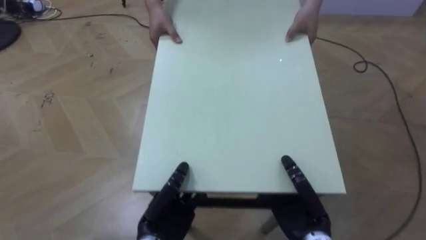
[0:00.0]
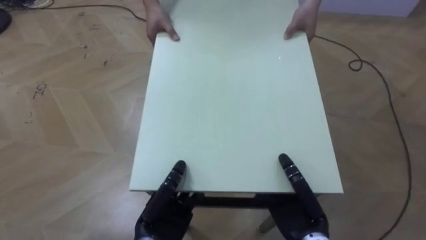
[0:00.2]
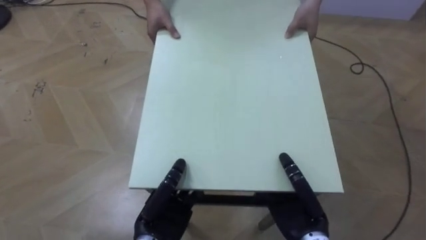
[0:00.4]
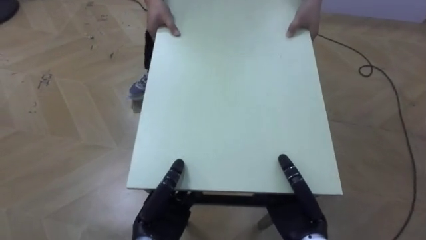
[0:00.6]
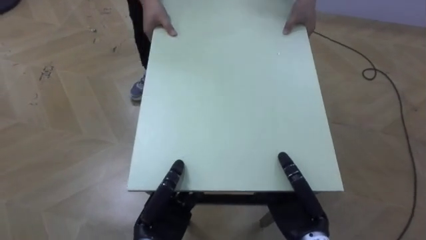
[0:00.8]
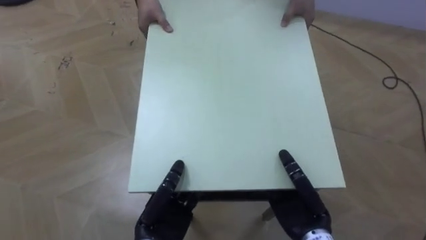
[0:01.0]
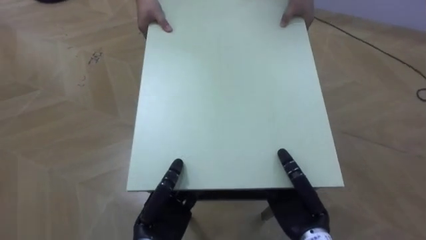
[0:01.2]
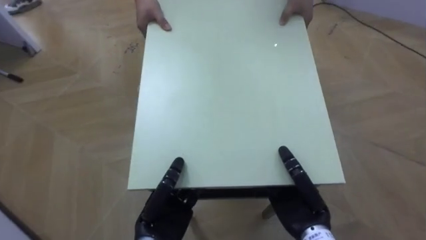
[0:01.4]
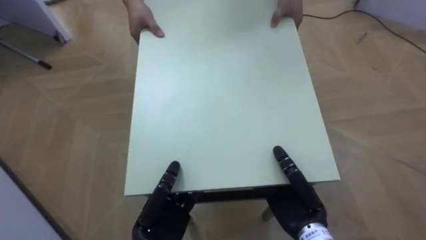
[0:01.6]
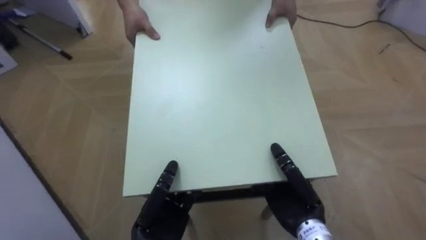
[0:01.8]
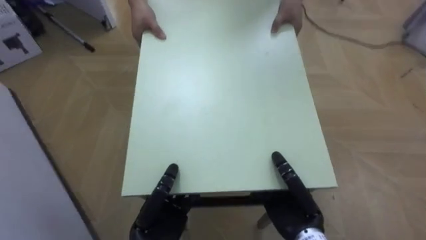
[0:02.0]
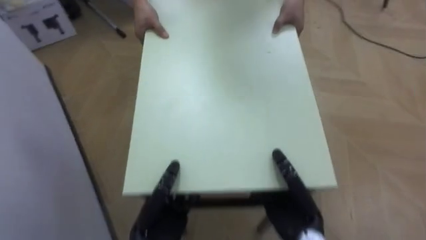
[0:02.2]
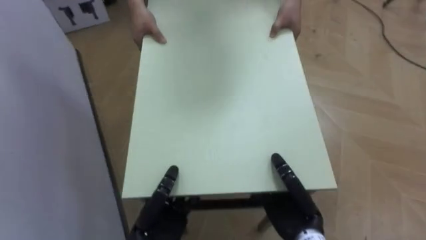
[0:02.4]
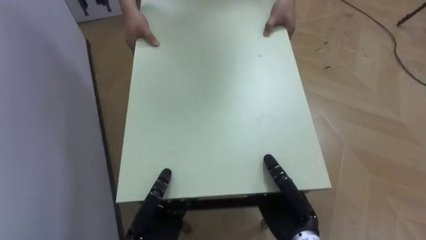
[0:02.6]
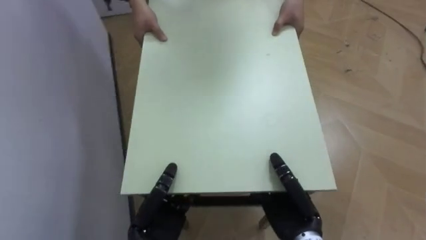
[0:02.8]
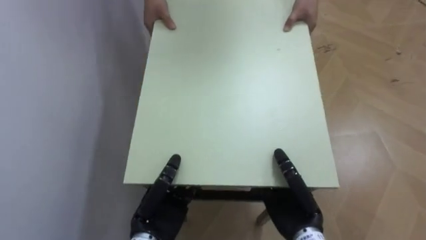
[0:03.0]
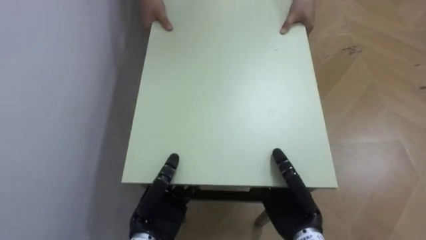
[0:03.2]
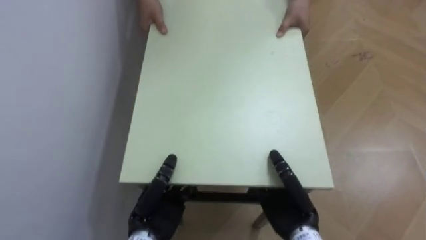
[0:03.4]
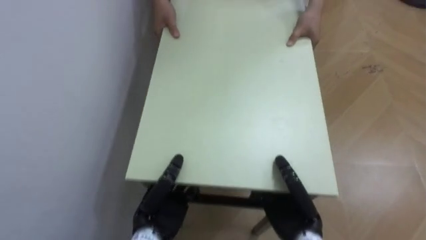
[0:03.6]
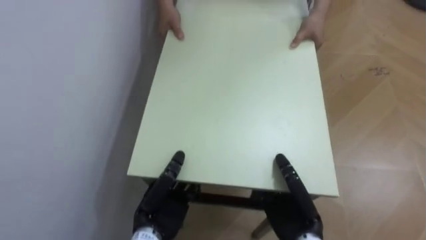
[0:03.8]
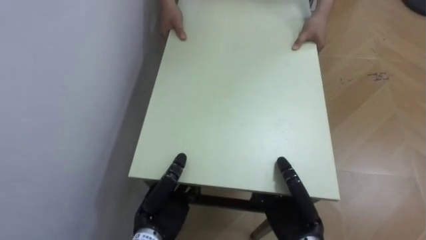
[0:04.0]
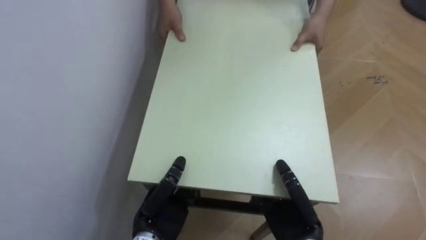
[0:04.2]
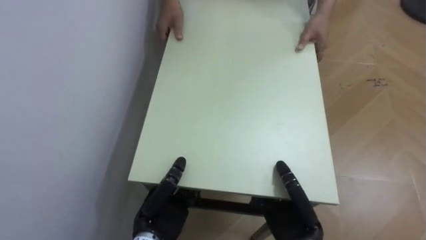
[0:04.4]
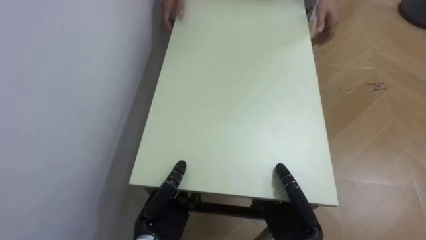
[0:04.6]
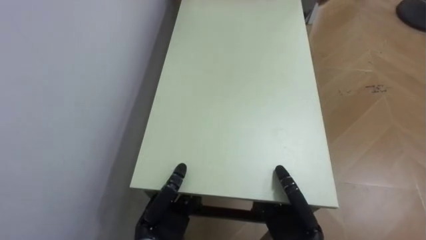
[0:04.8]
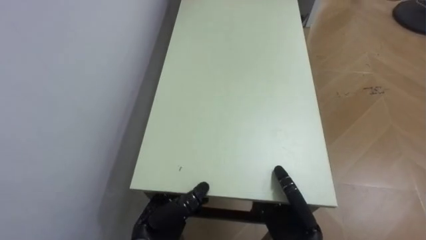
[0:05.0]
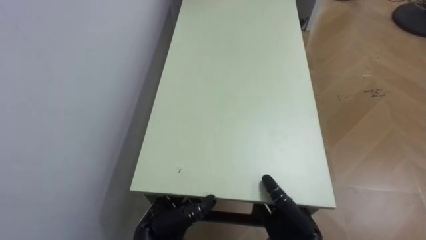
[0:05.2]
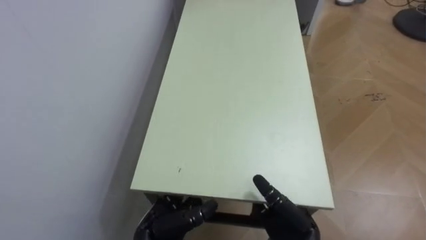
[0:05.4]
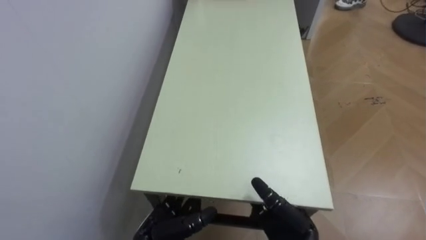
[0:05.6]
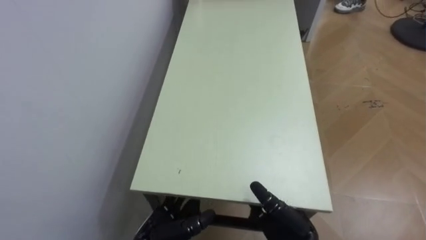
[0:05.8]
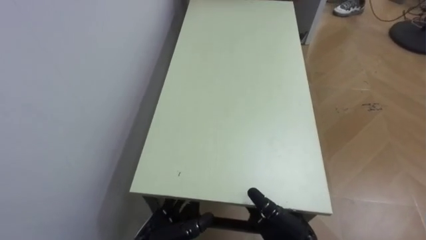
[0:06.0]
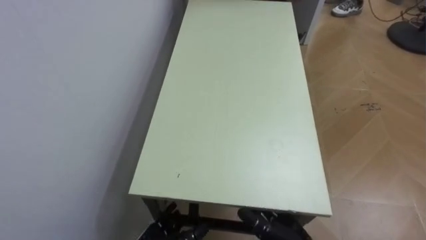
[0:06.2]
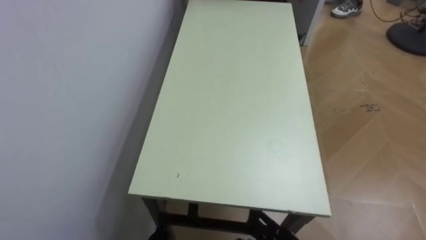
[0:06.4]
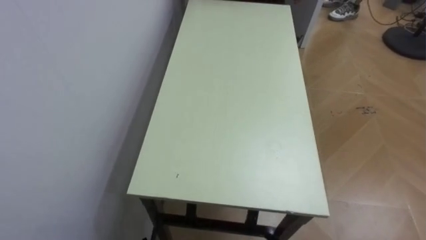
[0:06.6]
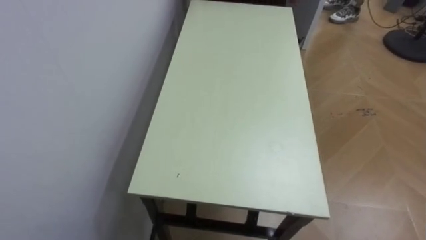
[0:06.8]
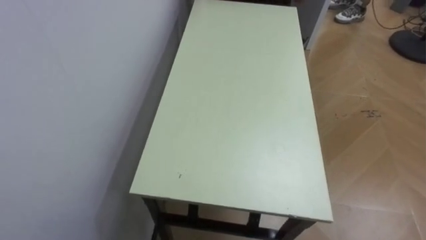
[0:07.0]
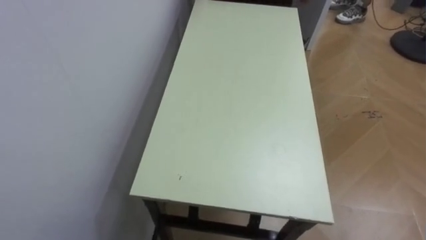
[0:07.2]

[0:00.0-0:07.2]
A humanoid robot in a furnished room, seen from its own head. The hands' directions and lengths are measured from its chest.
Task of the whole recording: Move the table to the back left with someone.
0:00.0 to 0:01.4: The robot's body swings roughly 25 degrees to its left.
0:01.4 to 0:02.8: The robot turns to its left by approximately 40 degrees.
0:02.8 to 0:04.4: The robot rotates roughly 30 degrees to its left.
0:04.4 to 0:05.8: The left hand opens its fingers, while the right hand opens.

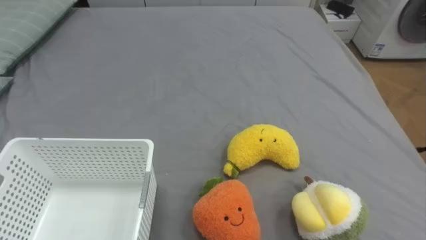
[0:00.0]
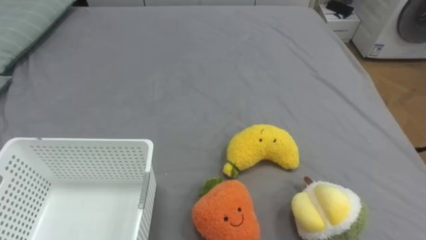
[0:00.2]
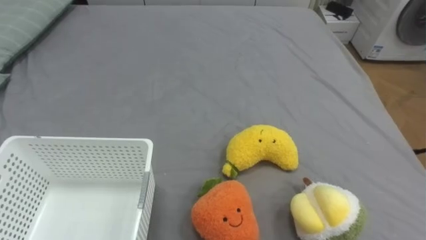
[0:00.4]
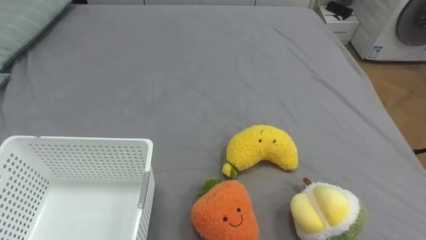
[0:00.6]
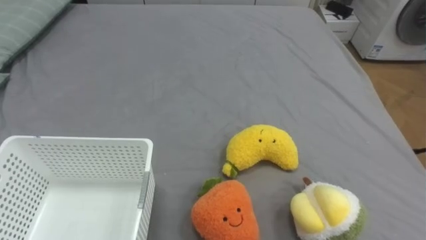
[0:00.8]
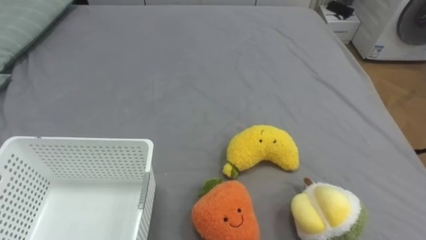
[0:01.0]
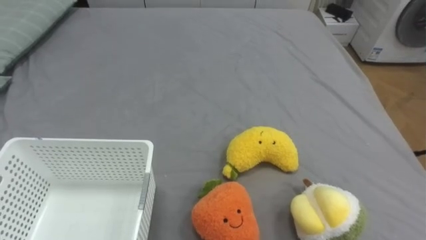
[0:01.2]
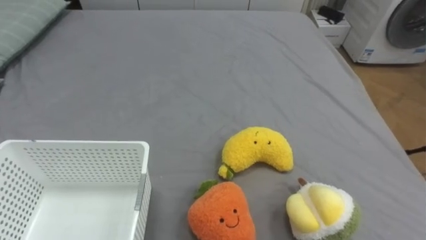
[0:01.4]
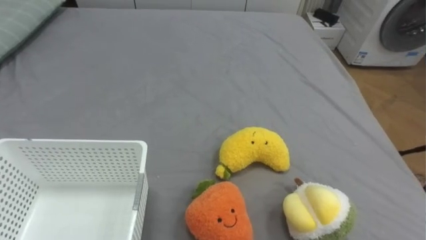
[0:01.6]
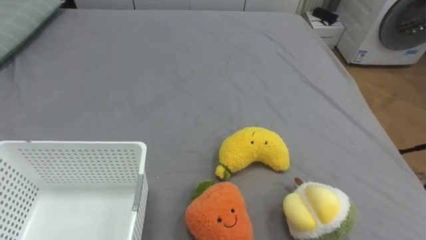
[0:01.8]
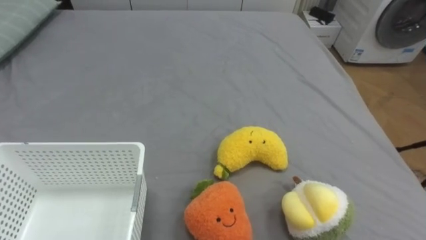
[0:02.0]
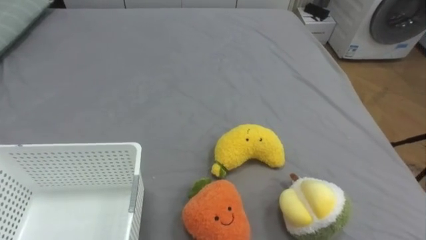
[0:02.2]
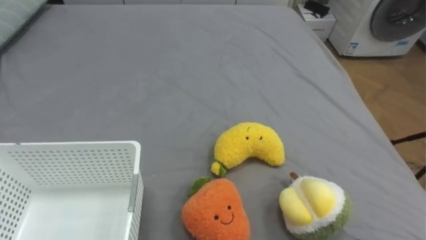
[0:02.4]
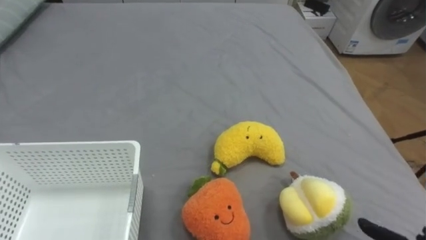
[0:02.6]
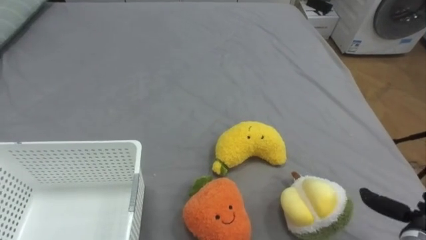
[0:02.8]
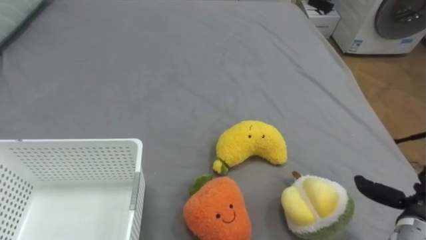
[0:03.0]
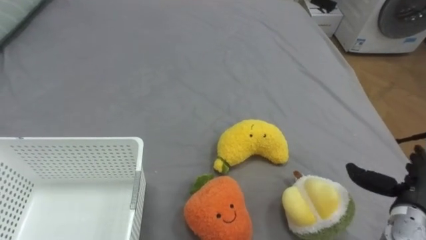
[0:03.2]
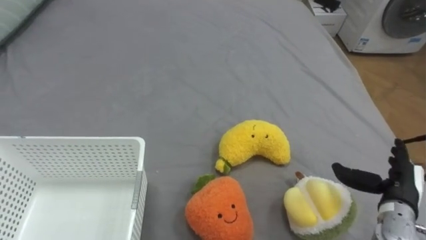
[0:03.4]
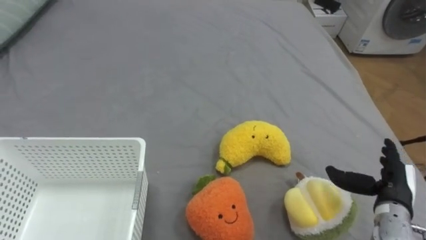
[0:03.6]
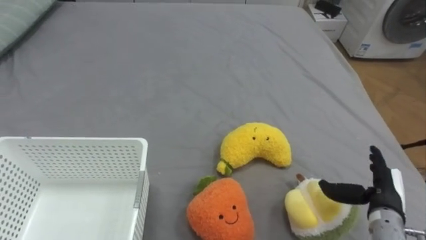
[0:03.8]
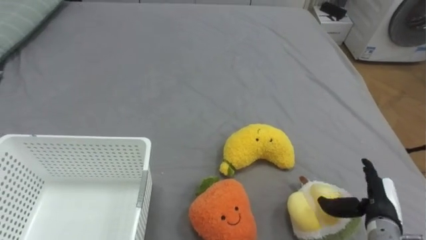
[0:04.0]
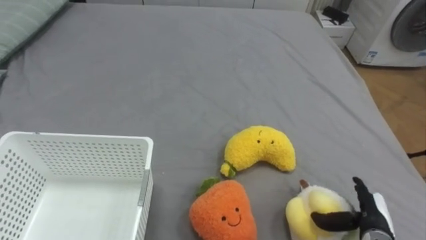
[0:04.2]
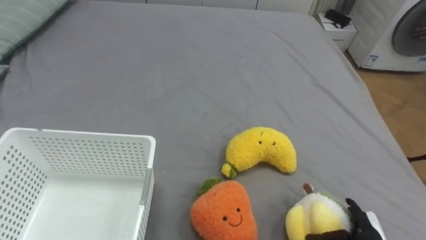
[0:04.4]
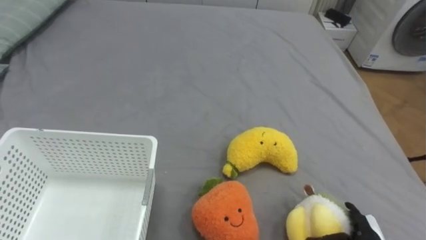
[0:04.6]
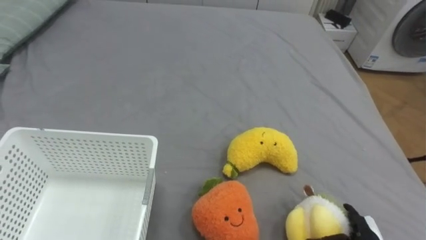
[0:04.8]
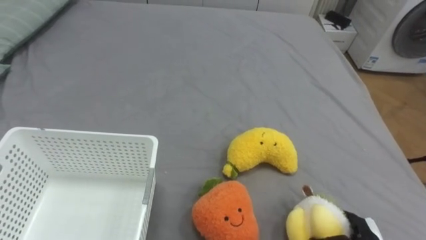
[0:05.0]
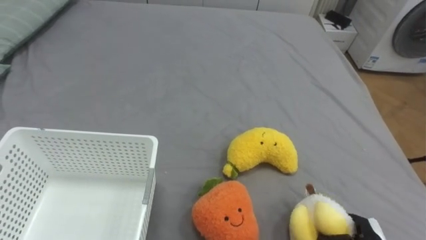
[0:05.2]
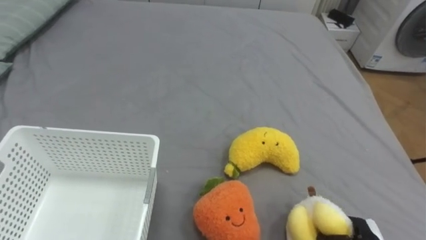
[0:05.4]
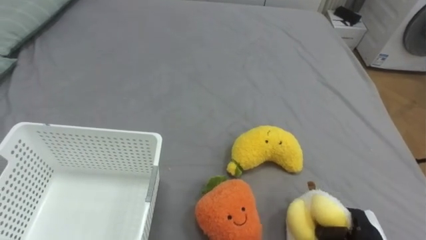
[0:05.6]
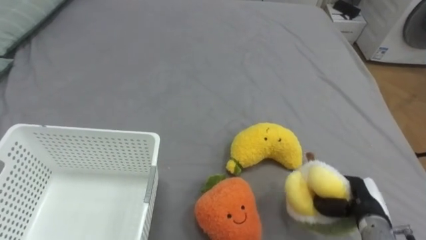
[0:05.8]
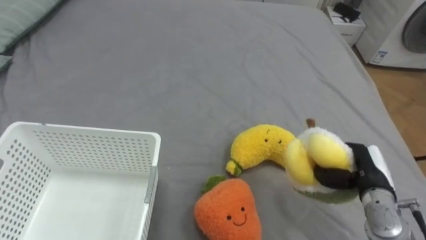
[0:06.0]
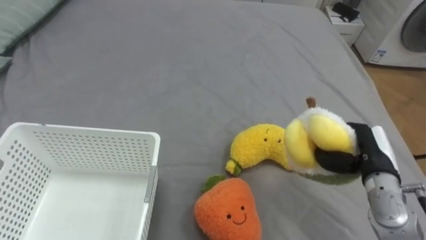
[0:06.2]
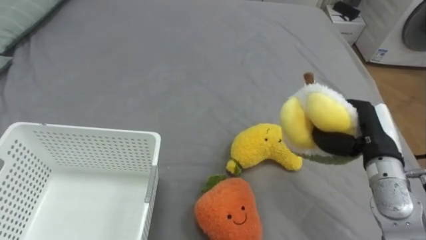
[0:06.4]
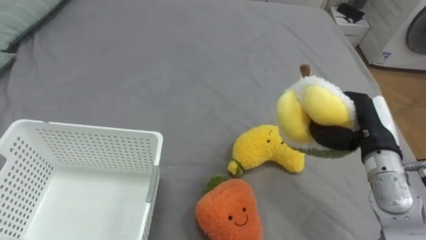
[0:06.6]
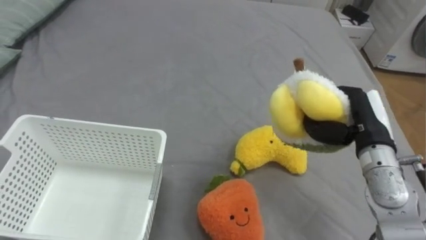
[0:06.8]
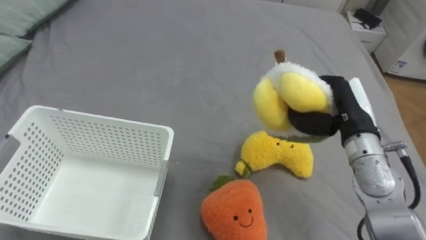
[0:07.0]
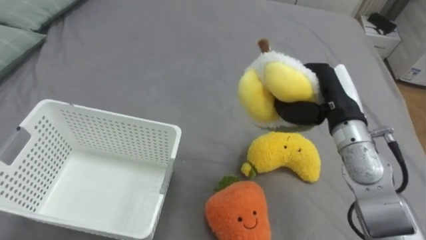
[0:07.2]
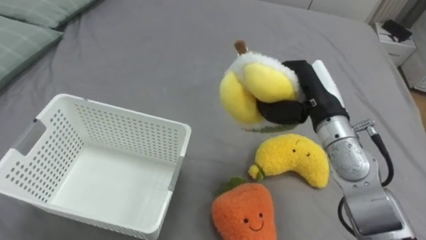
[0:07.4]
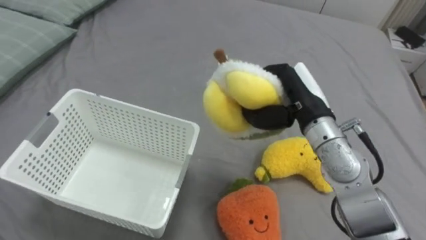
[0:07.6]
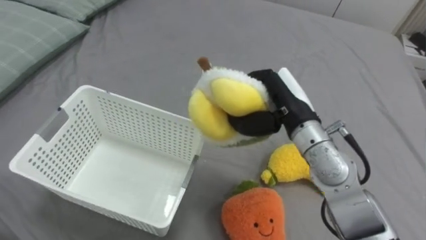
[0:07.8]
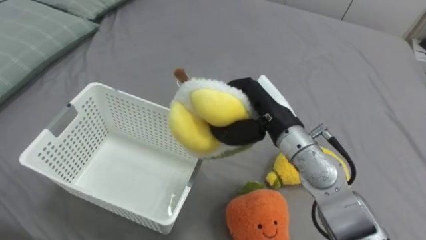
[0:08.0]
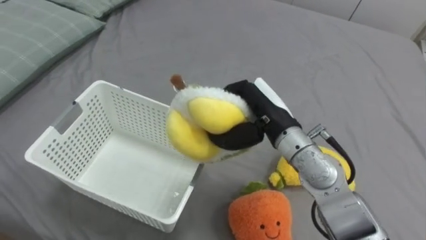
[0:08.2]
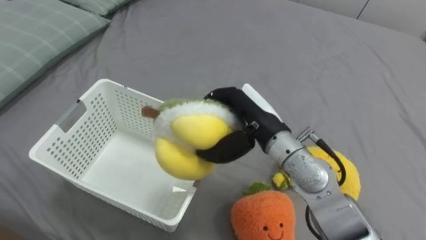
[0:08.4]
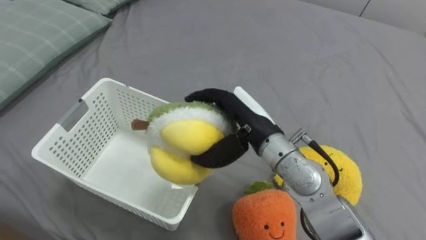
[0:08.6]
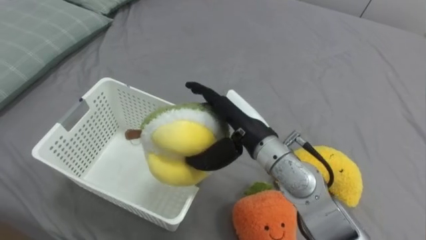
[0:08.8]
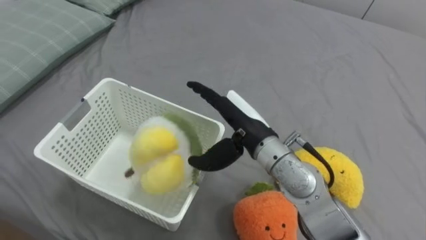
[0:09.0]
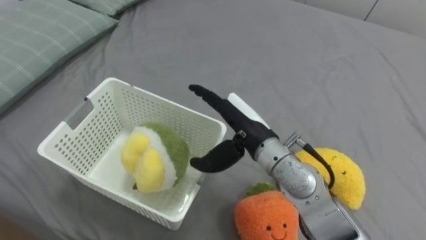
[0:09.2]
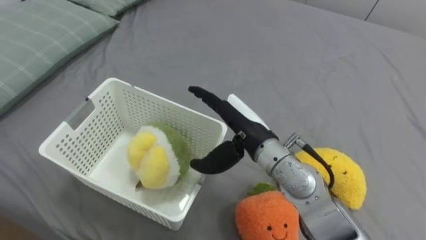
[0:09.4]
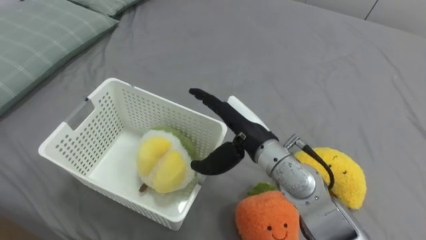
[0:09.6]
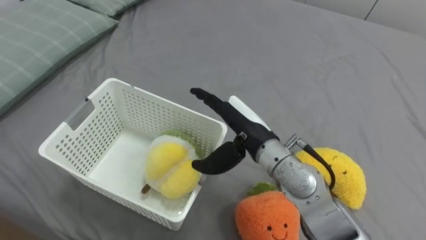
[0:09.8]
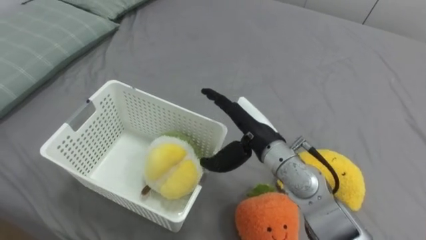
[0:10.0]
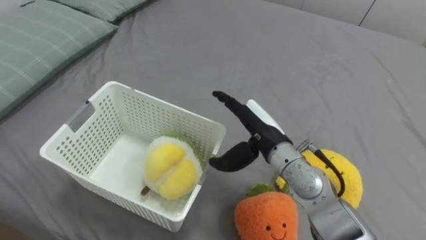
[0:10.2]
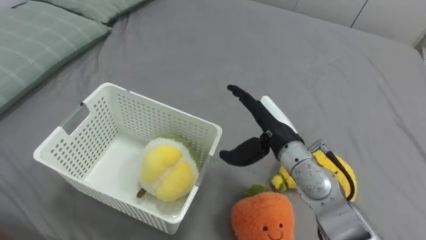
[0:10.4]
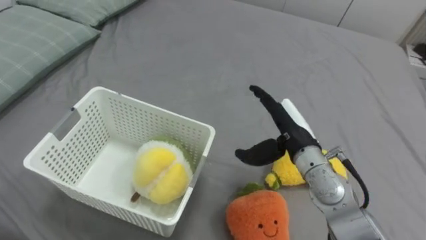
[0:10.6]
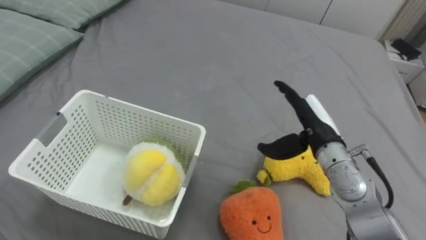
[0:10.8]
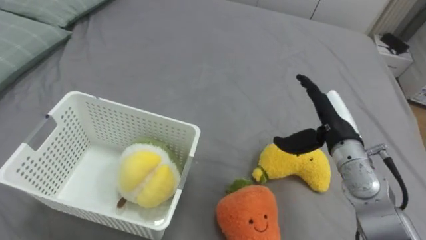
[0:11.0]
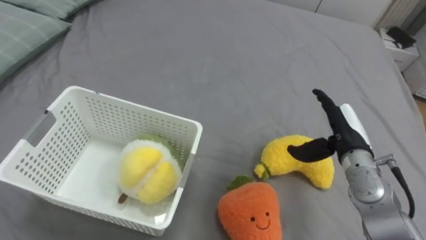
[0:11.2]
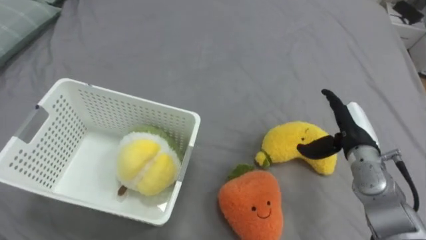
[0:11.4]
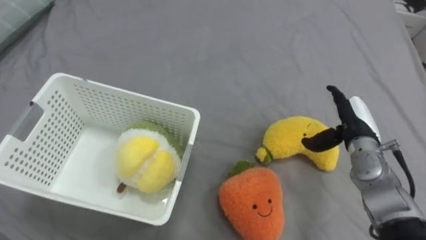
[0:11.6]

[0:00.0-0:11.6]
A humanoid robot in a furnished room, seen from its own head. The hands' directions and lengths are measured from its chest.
Task of the whole recording: Put the toys on the bed into the basket on the left.
0:02.8 to 0:04.4: The right hand shifts some 10 cm to the left.
0:05.8 to 0:07.2: The right hand goes roughly 25 cm upward, forward and to the left.
0:07.2 to 0:08.8: The right hand moves to the left, about 15 cm, and opens.
0:10.2 to 0:11.6: The right hand goes roughly 20 cm to the right.
